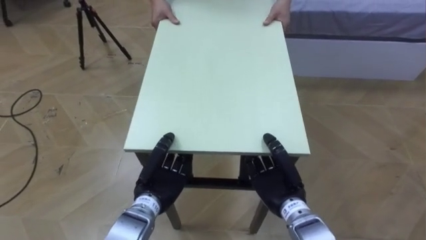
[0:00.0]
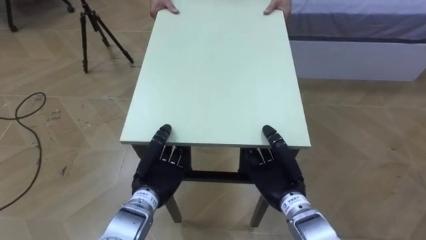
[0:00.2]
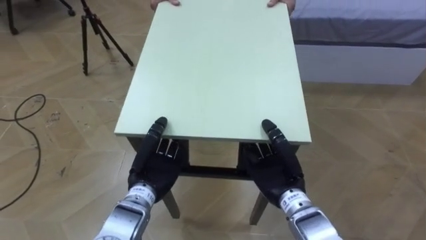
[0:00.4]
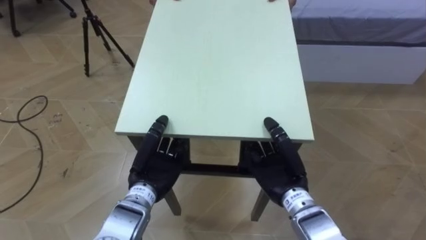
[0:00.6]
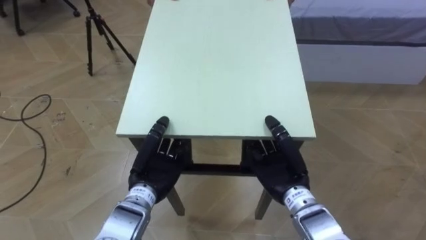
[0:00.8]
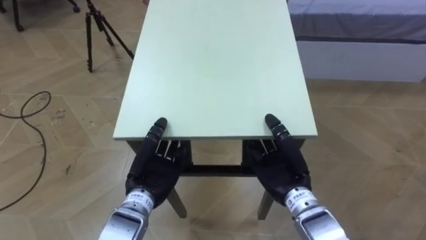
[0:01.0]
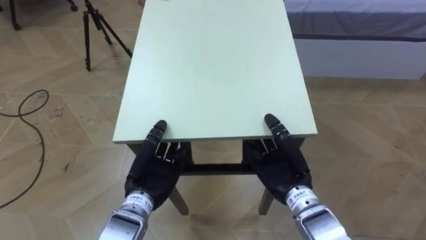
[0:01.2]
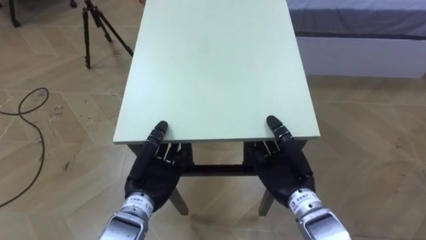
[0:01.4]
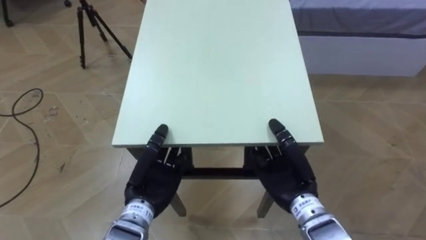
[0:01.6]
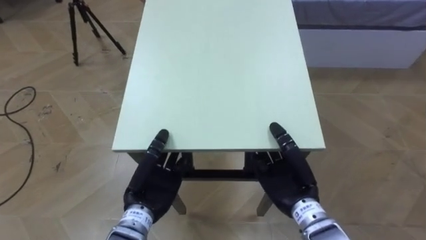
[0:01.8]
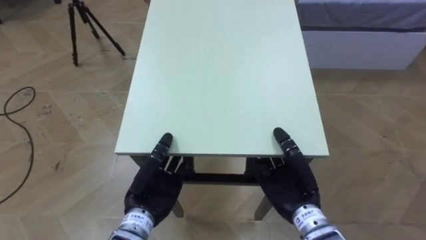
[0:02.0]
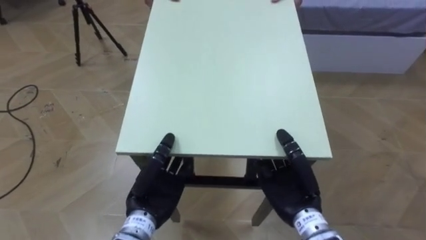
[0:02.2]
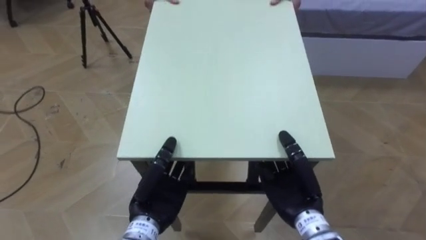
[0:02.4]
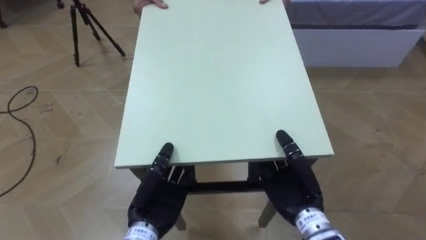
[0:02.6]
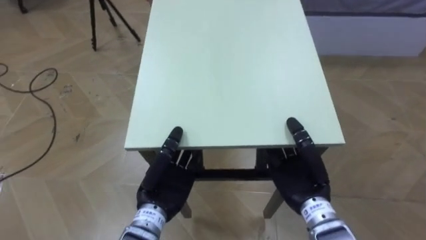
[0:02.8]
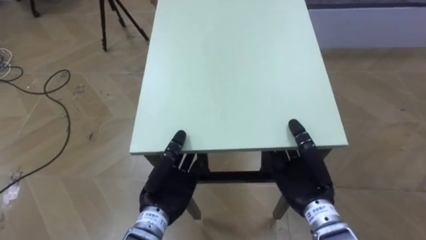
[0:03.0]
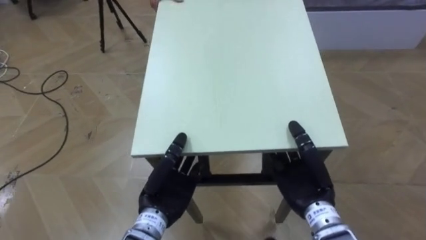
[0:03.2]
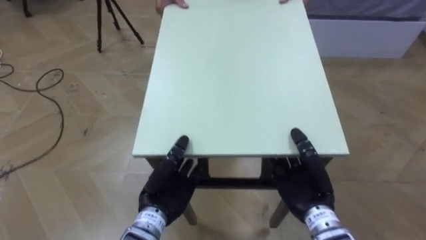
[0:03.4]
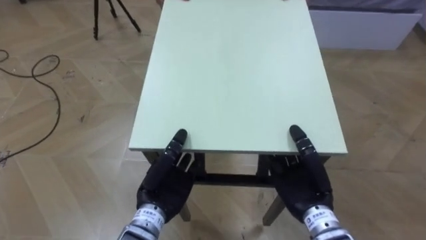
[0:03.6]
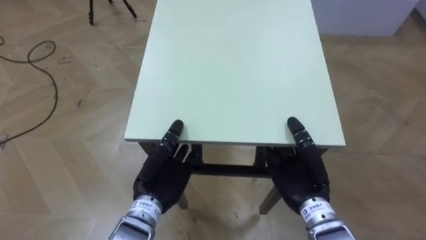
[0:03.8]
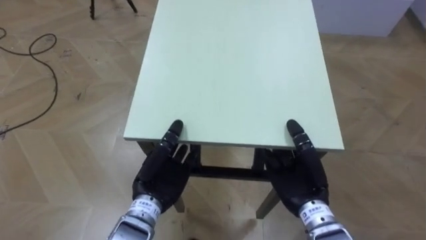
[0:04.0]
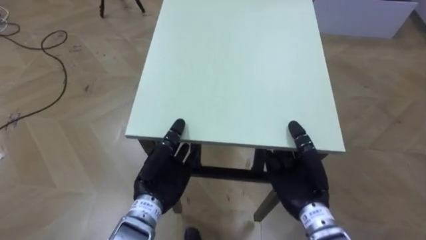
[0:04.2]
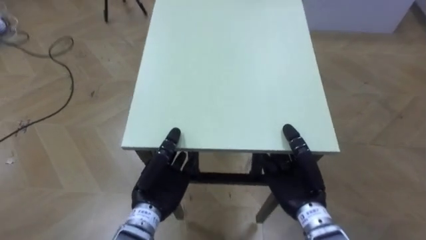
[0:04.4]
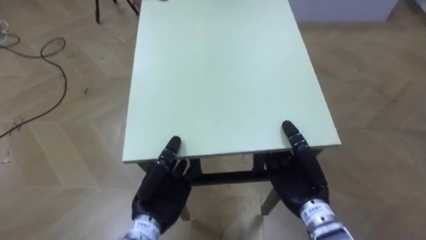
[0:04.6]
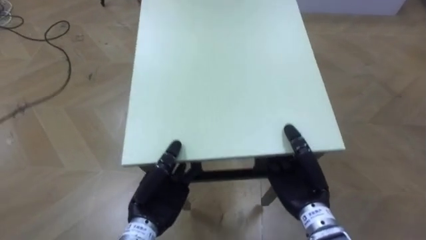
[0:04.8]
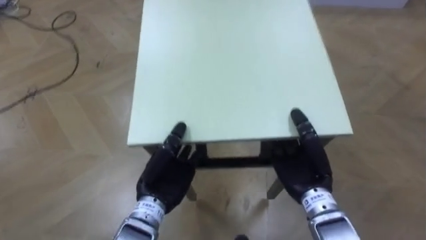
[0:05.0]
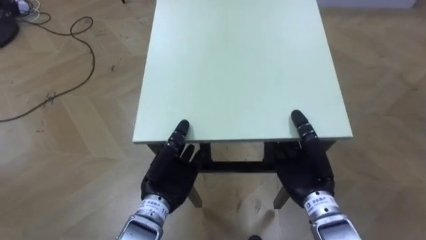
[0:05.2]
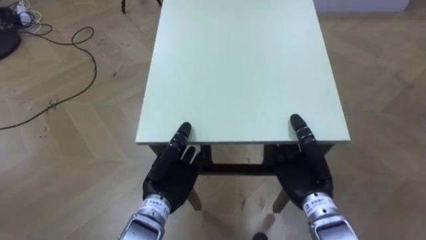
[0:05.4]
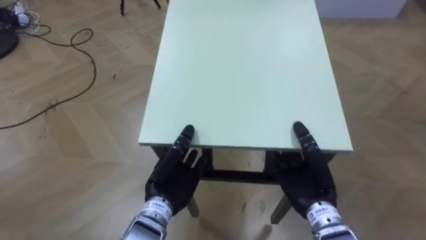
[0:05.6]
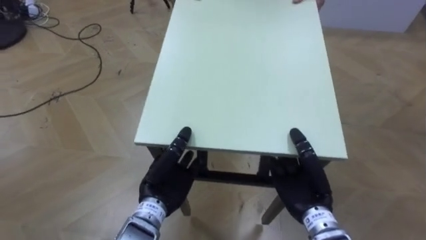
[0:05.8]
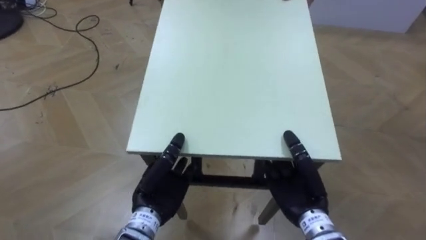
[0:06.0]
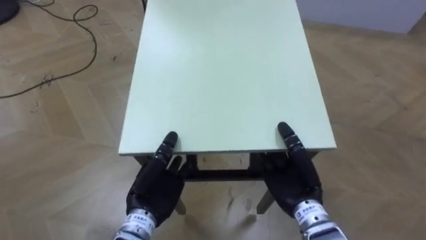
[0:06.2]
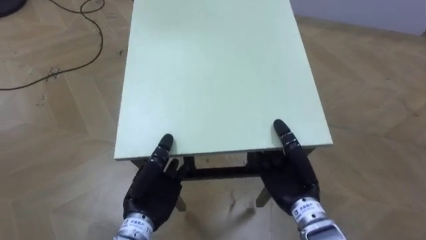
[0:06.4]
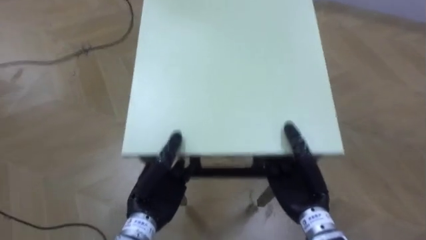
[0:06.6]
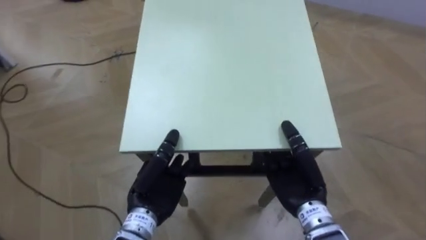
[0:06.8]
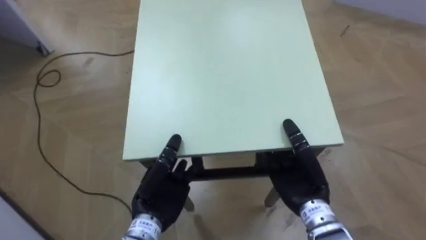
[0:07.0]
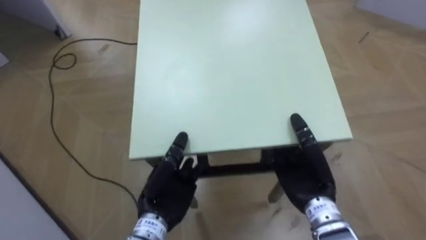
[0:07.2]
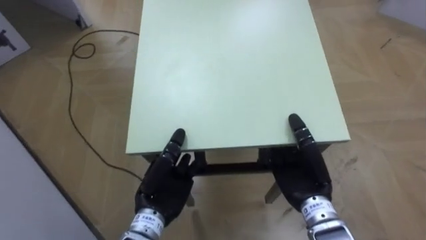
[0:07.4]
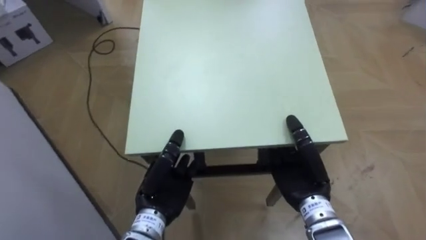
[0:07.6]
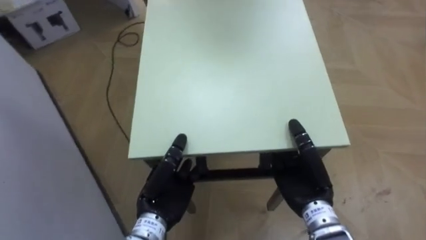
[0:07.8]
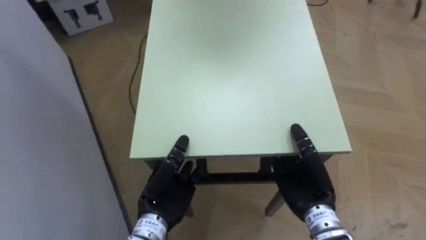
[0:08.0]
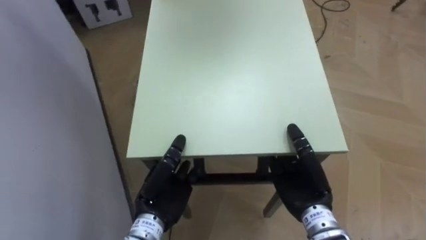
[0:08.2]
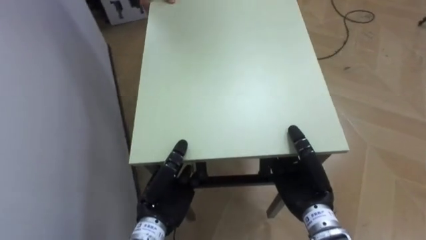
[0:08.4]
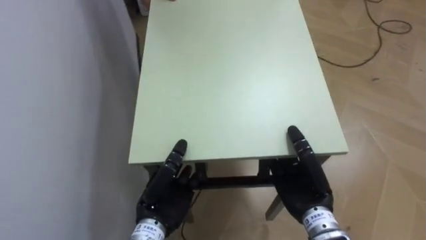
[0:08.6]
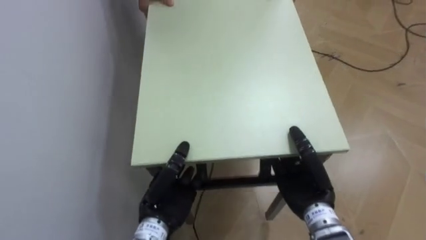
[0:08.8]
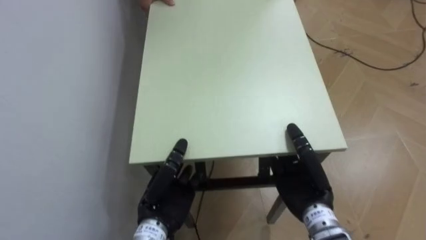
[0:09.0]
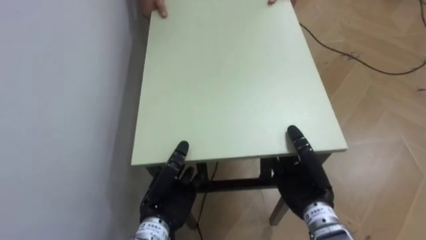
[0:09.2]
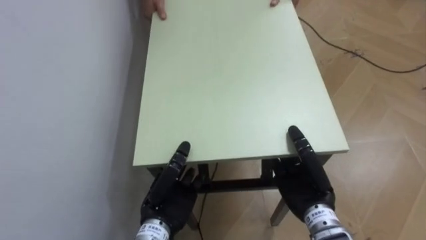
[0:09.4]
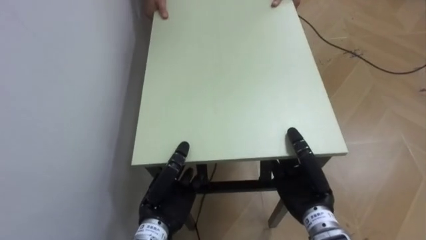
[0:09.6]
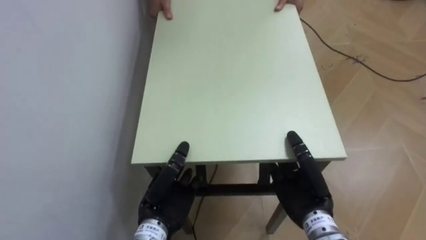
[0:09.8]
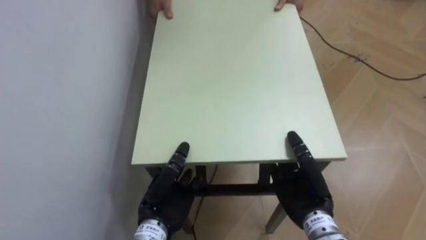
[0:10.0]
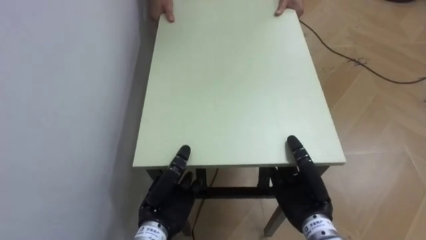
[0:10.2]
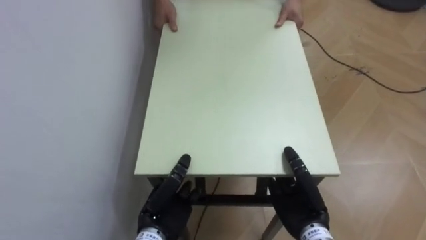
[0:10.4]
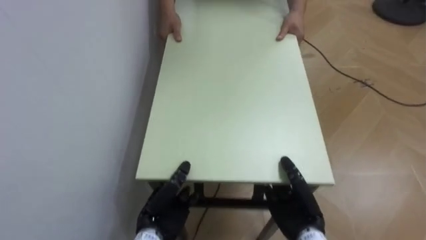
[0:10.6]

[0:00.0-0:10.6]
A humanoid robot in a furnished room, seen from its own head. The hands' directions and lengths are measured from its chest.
Task of the whole recording: Move the table to the back left with someone.
0:00.0 to 0:01.6: The right hand goes roughly 5 cm upward.
0:06.0 to 0:07.6: The robot turns to its left by approximately 40 degrees.
0:07.6 to 0:09.0: The robot's body swings some 40 degrees to its left.
0:09.0 to 0:10.6: Both hands travel together downward, about 5 cm.

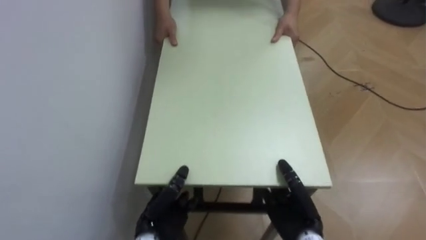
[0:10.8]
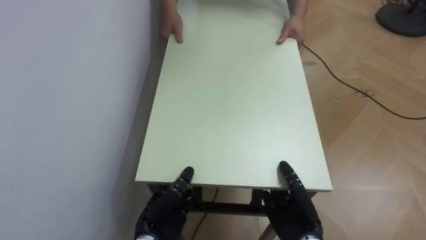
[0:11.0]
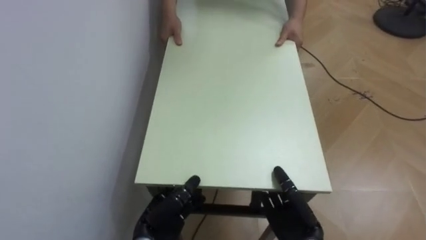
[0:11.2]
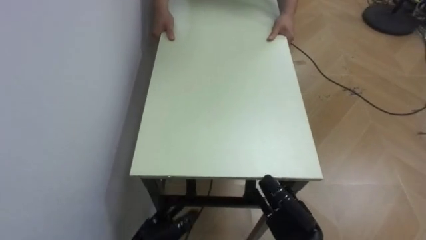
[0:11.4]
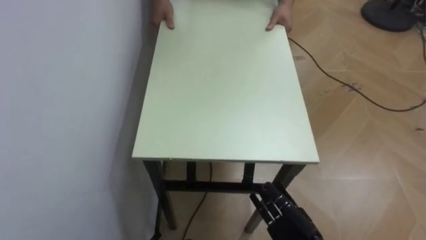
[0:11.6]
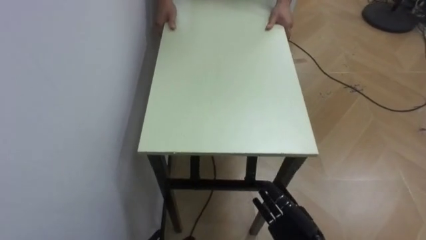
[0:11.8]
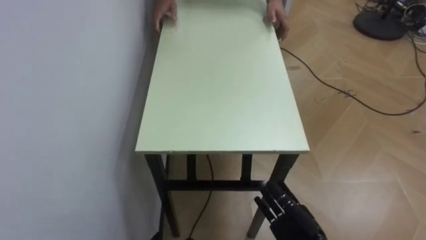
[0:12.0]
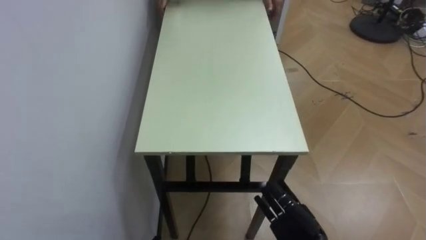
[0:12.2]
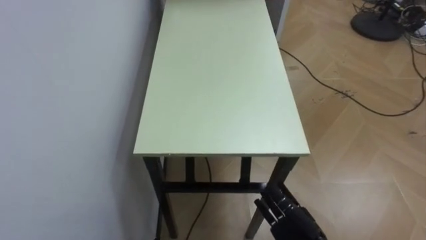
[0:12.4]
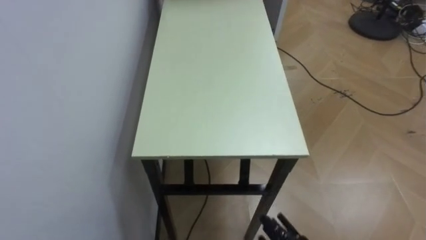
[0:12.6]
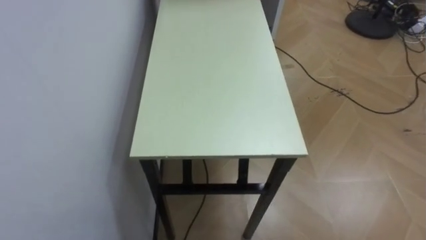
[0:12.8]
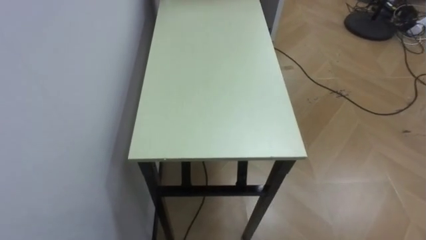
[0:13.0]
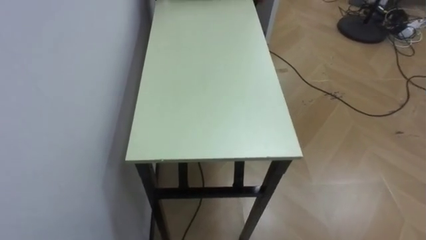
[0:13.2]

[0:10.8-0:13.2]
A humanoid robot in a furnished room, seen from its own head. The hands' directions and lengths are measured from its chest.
Task of the whole recording: Move the table to the back left with someone.
0:10.8 to 0:12.0: The right hand opens.

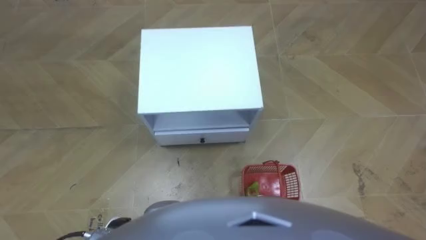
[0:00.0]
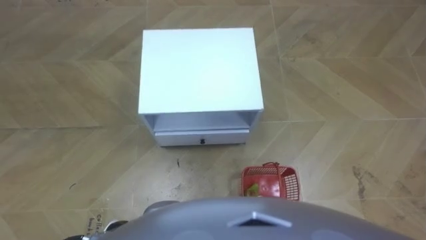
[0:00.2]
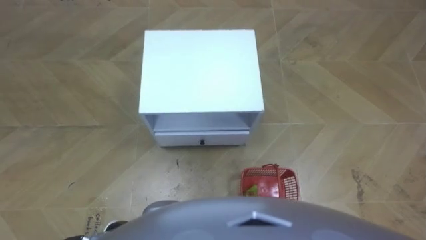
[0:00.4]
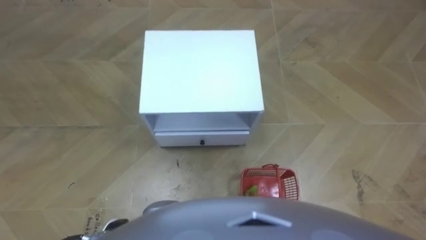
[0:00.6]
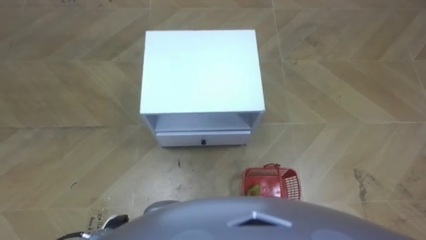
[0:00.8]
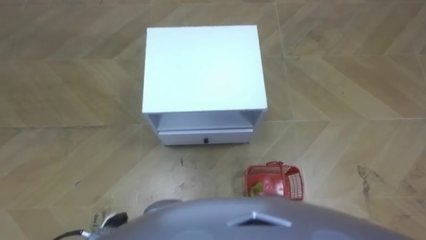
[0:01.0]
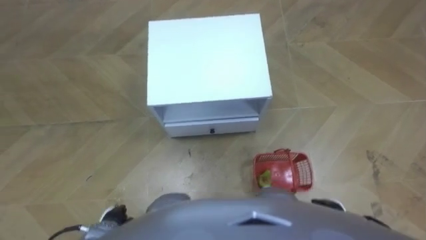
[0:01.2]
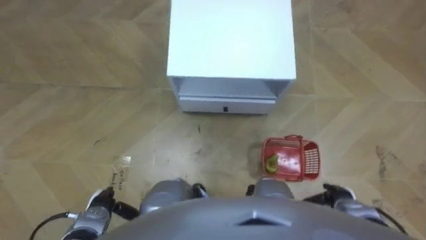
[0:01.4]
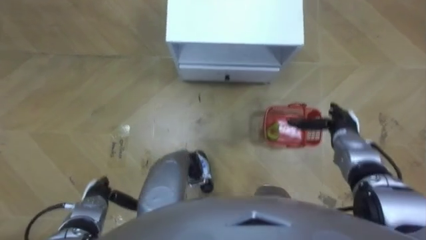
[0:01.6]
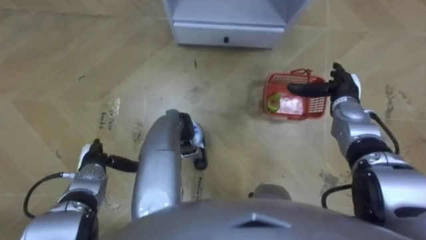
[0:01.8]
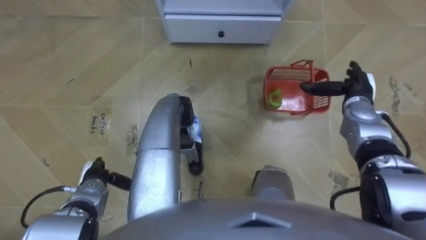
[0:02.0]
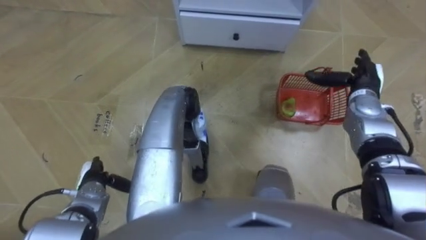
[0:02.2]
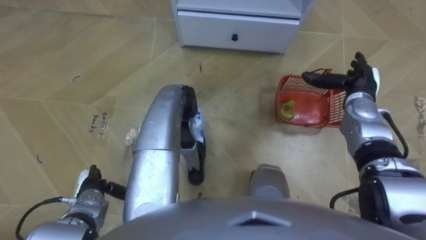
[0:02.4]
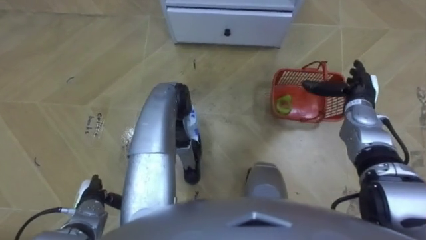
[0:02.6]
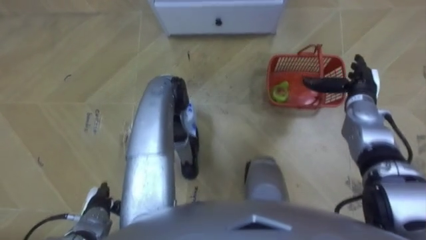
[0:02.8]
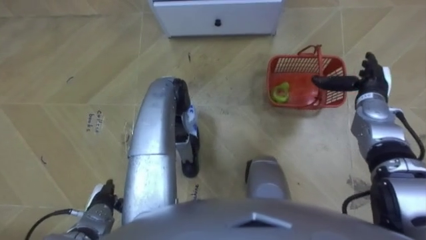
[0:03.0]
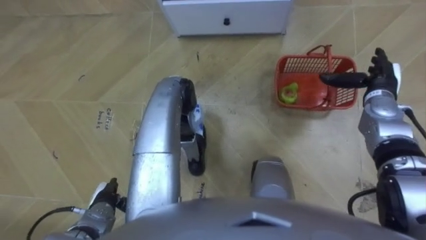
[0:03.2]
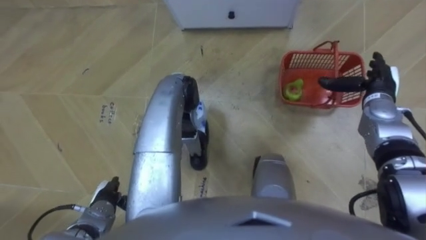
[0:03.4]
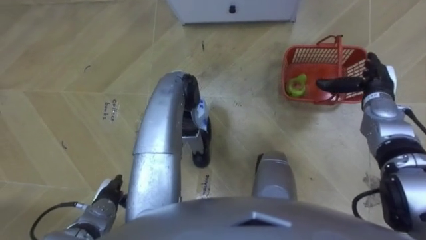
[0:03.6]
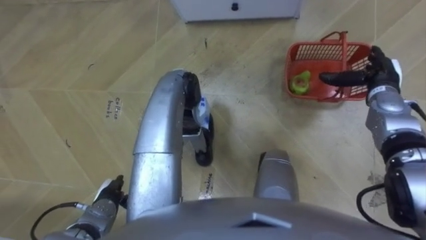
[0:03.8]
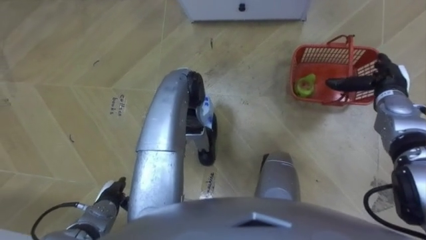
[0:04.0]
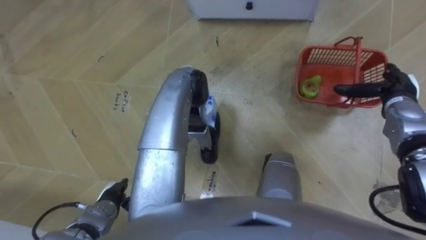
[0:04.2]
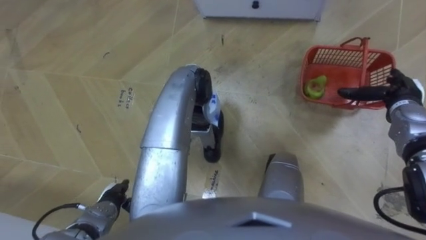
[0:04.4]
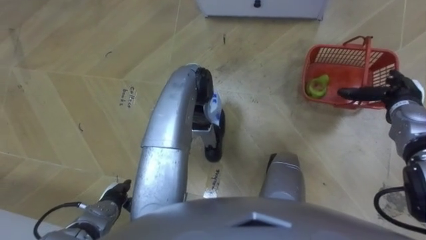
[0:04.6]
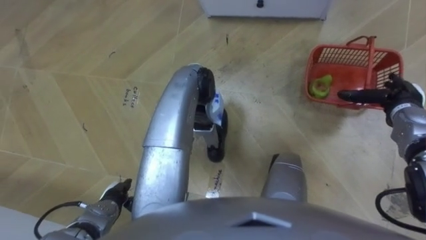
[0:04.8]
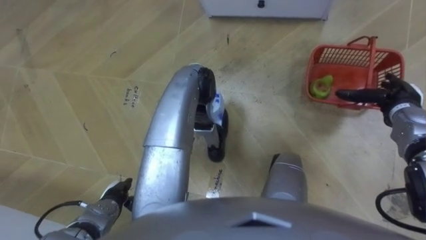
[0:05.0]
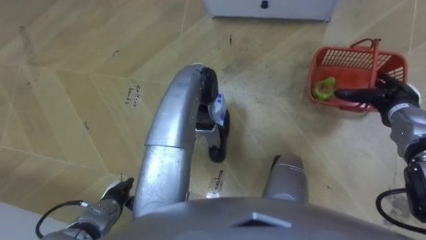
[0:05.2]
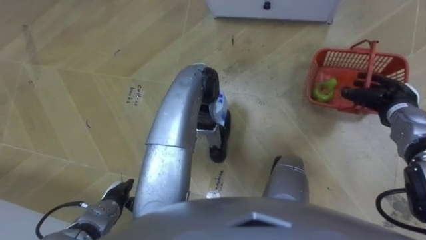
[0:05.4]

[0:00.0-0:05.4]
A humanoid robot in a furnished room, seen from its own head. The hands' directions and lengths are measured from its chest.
Task of the whole recording: Pick up the fruit basket from the floor and place it on the cabinet.
0:01.4 to 0:02.8: The left hand reaches roughly 10 cm forward, then returns, while the right hand heads forward and upward, covering some 25 cm.
0:02.8 to 0:04.0: The right hand moves roughly 5 cm.
0:04.0 to 0:05.4: The right hand closes up.
